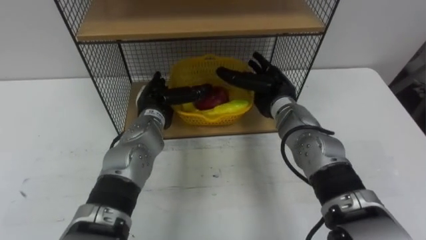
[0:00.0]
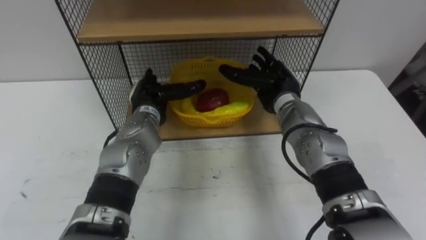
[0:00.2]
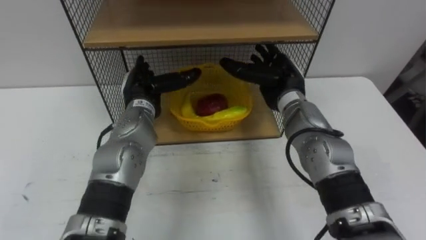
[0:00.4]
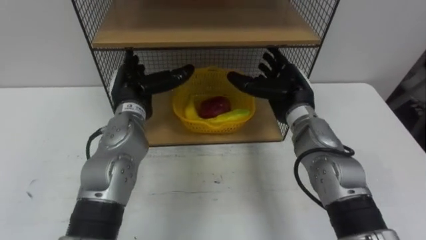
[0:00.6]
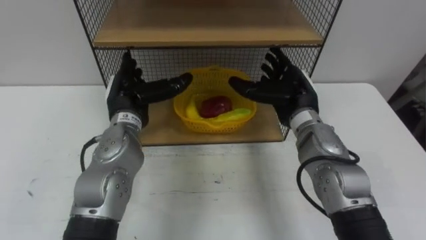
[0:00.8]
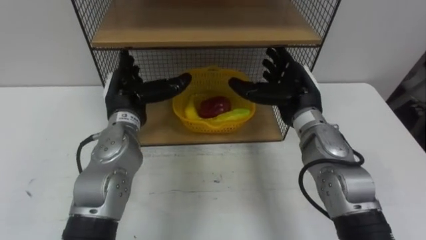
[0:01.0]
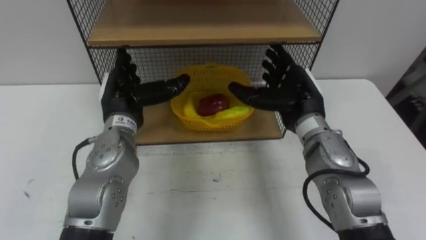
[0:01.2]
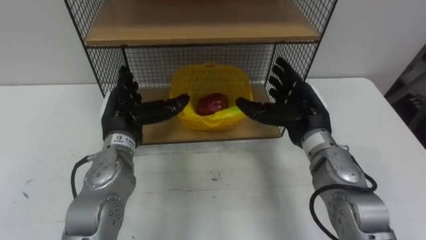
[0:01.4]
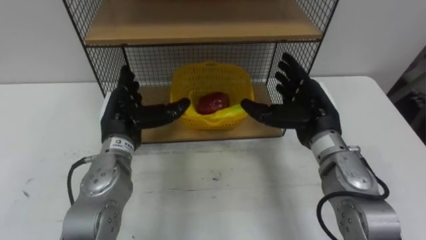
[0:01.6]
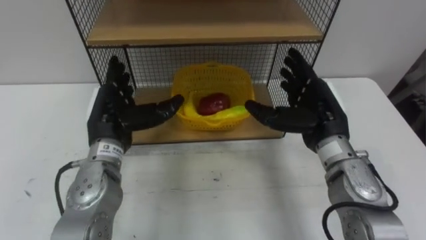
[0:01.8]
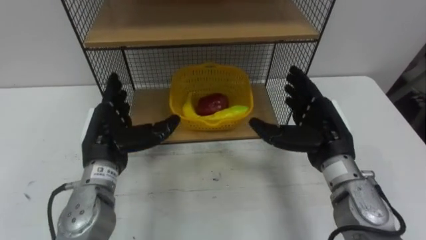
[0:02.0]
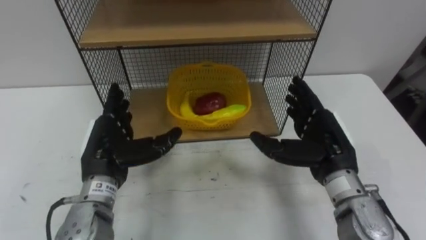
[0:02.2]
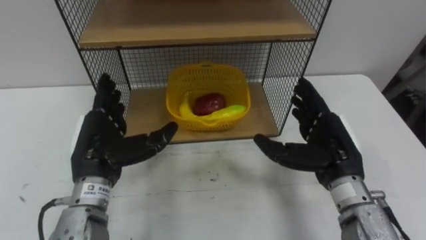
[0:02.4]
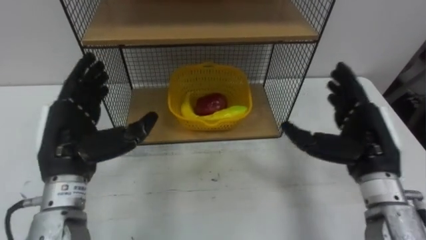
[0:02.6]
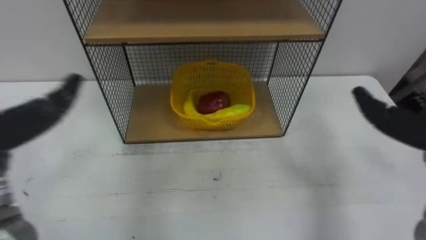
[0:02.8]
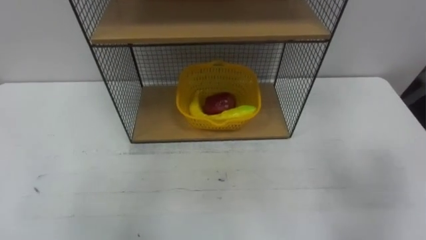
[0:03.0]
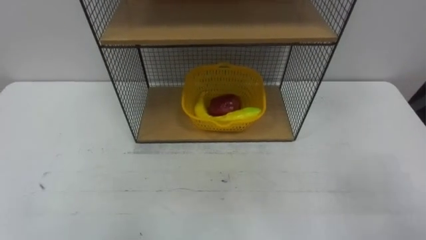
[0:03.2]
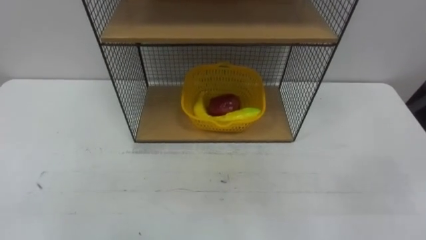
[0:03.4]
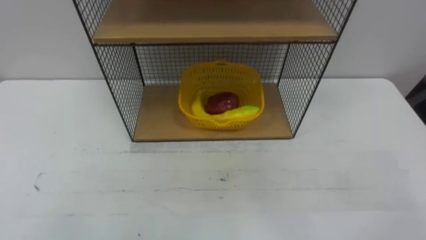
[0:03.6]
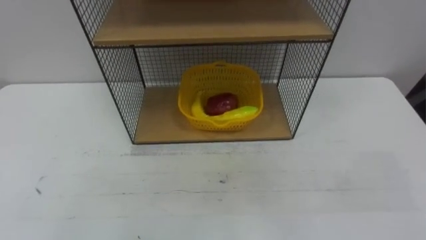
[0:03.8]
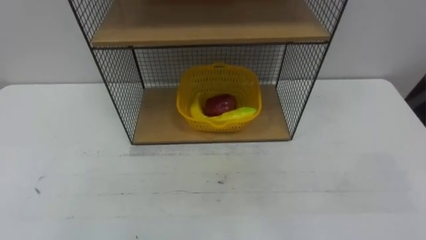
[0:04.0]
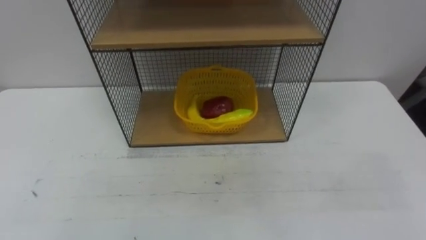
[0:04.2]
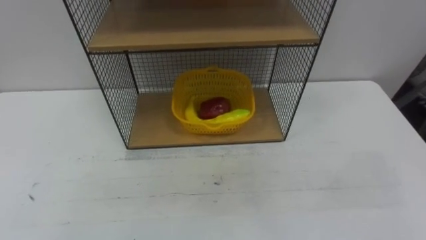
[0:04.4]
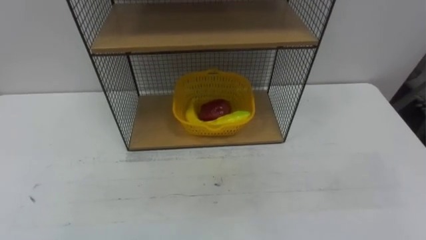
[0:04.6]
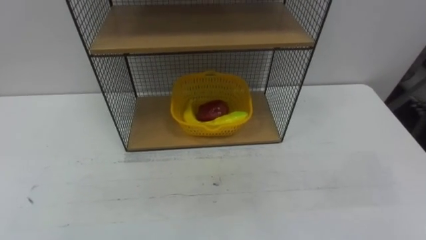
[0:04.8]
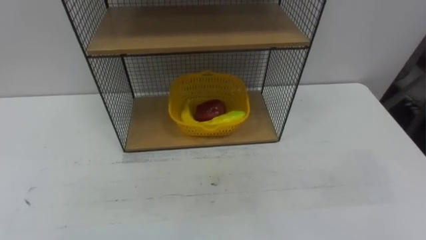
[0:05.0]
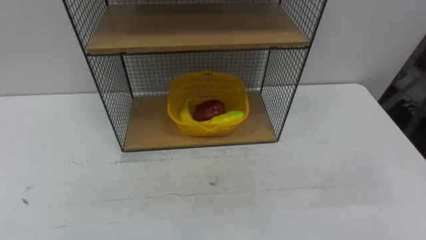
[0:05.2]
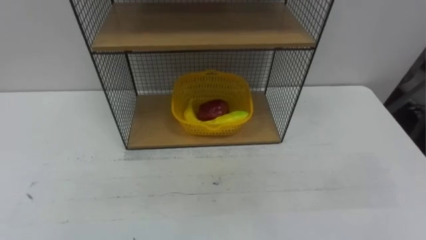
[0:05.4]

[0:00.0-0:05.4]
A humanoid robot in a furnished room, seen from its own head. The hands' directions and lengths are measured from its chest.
Task of the whole recording: Put the fruit on the table into the basket, then place the basket on the shelf.
0:00.0 to 0:01.4: The left hand shifts approximately 10 cm backward and to the left; the right hand shifts roughly 10 cm backward and to the right.

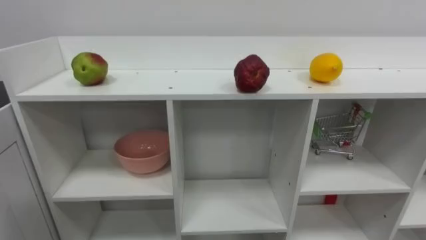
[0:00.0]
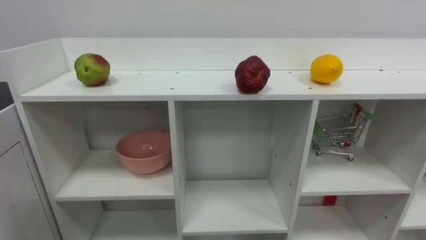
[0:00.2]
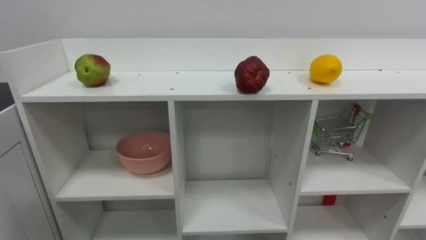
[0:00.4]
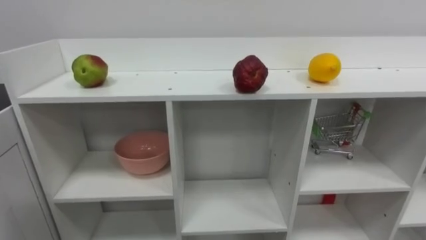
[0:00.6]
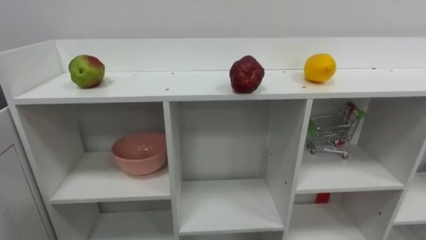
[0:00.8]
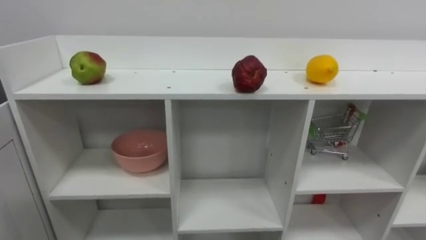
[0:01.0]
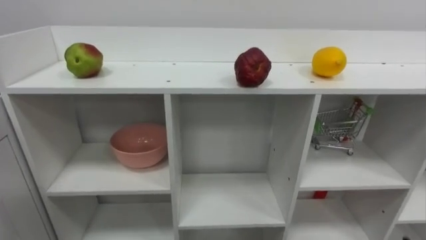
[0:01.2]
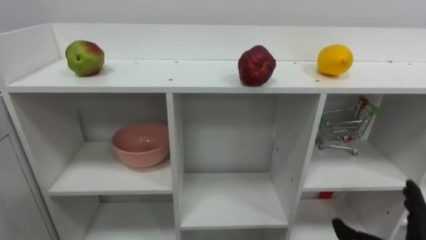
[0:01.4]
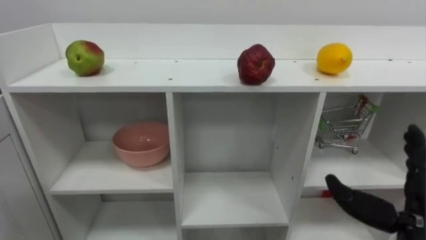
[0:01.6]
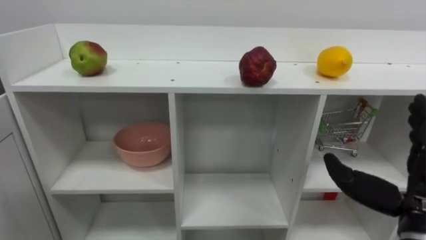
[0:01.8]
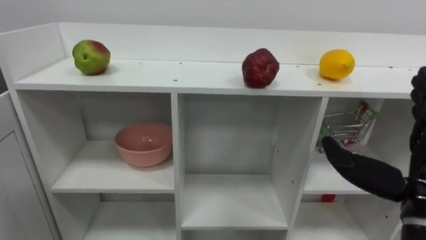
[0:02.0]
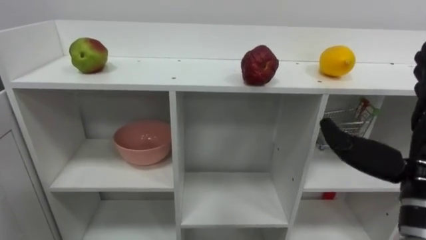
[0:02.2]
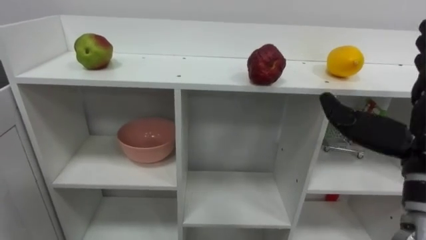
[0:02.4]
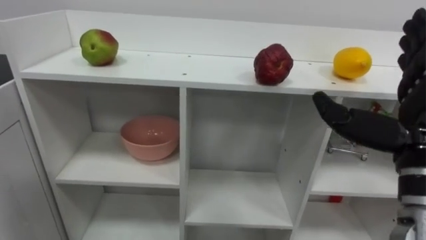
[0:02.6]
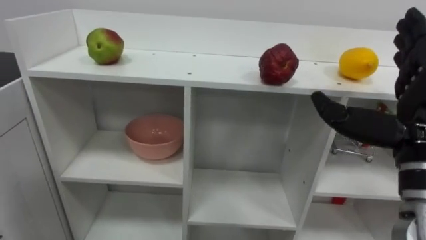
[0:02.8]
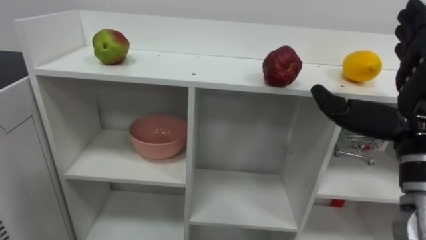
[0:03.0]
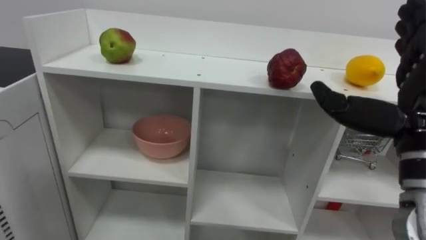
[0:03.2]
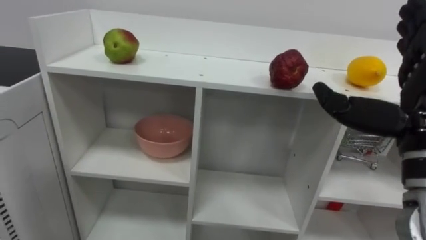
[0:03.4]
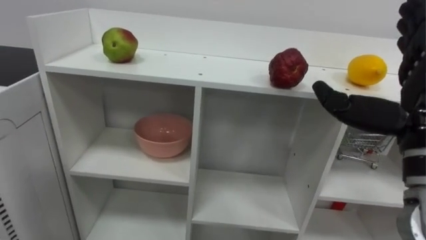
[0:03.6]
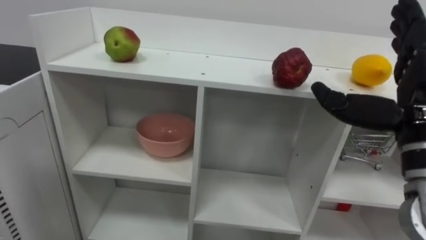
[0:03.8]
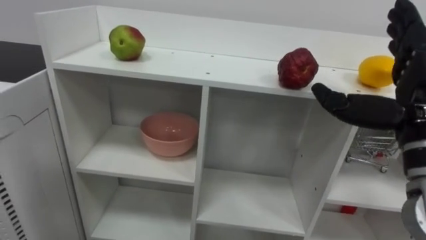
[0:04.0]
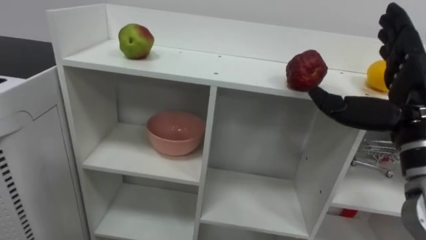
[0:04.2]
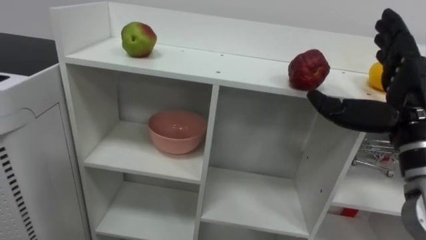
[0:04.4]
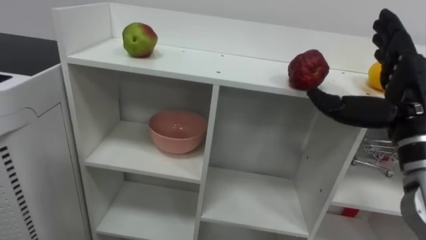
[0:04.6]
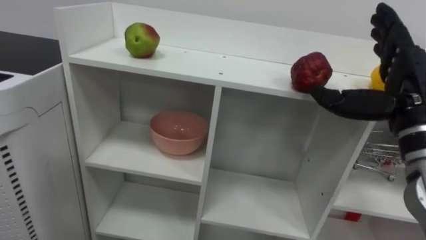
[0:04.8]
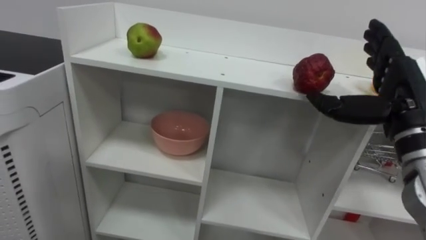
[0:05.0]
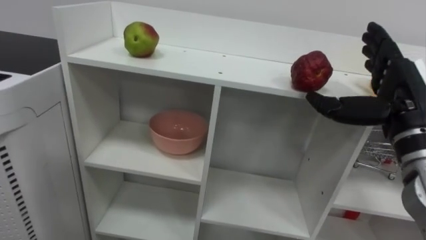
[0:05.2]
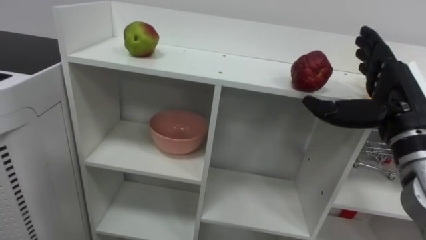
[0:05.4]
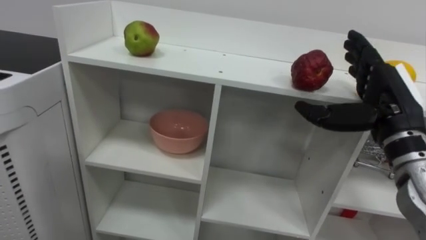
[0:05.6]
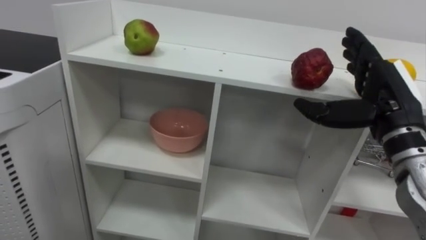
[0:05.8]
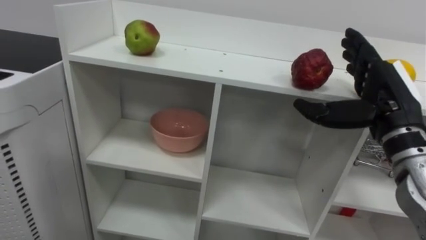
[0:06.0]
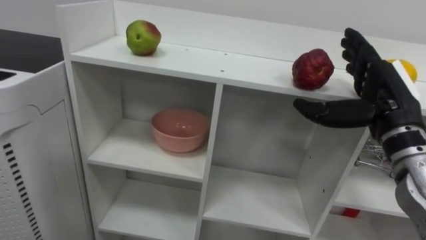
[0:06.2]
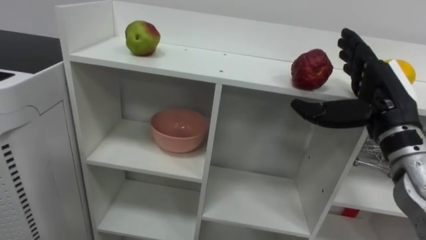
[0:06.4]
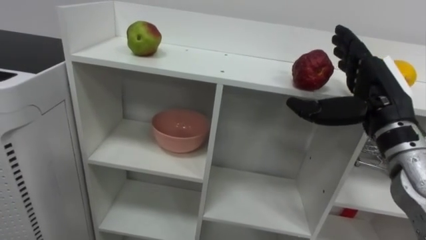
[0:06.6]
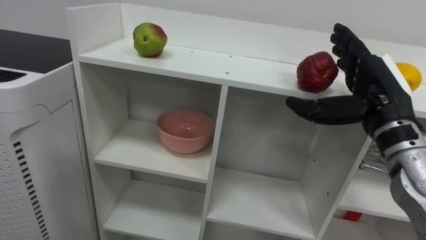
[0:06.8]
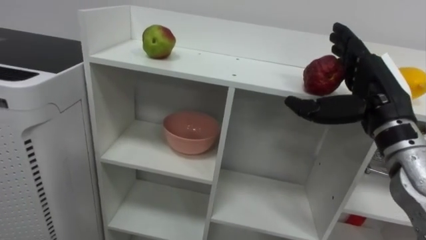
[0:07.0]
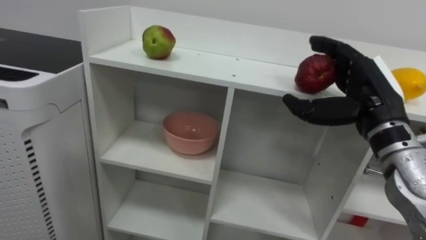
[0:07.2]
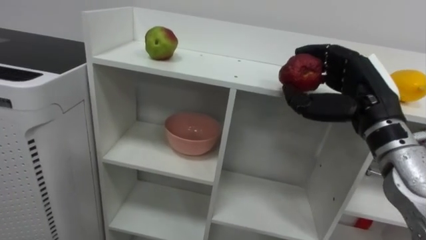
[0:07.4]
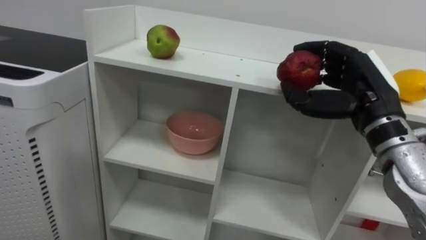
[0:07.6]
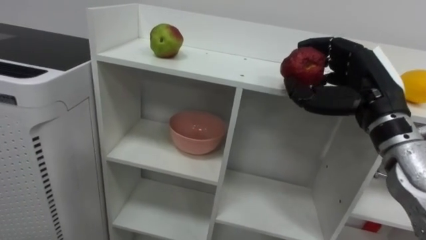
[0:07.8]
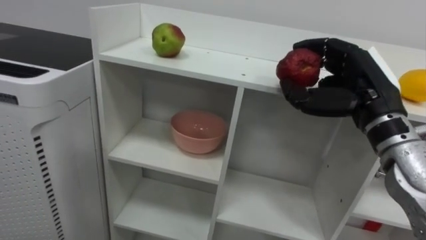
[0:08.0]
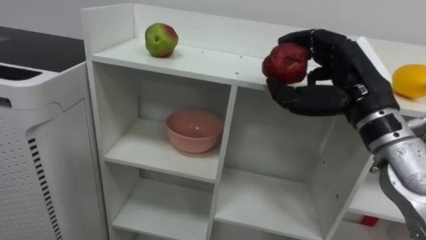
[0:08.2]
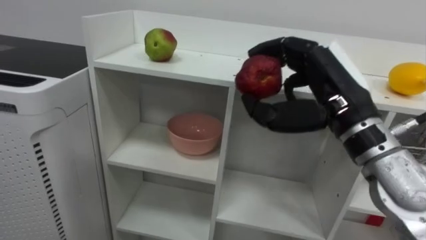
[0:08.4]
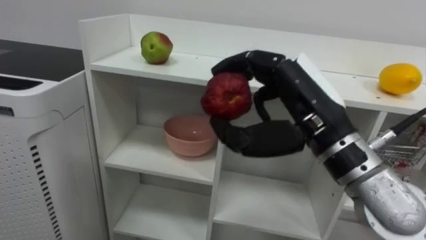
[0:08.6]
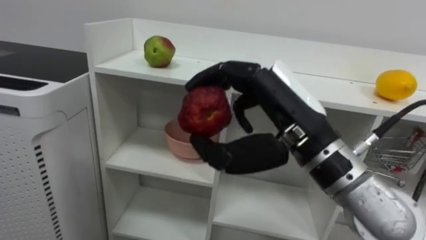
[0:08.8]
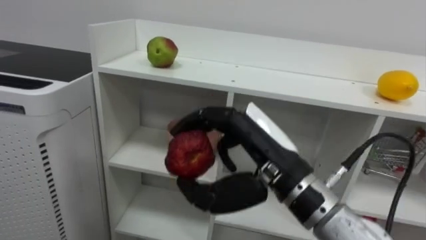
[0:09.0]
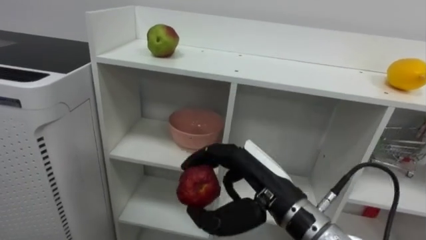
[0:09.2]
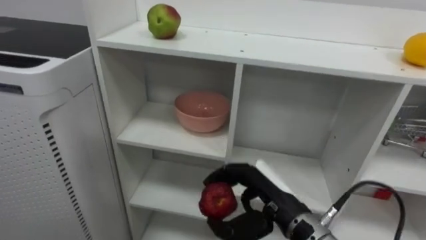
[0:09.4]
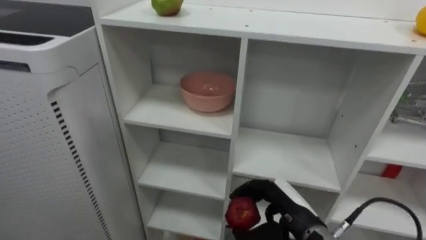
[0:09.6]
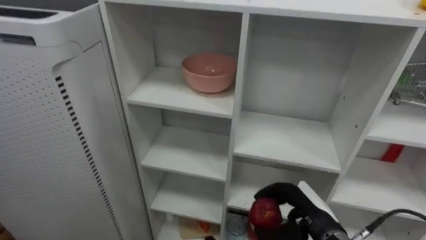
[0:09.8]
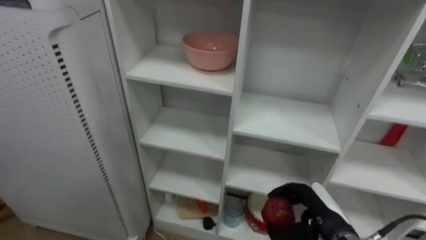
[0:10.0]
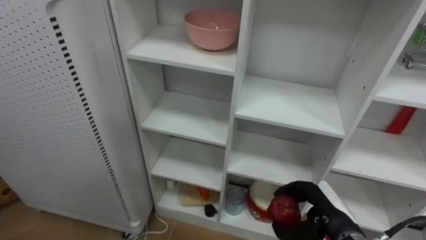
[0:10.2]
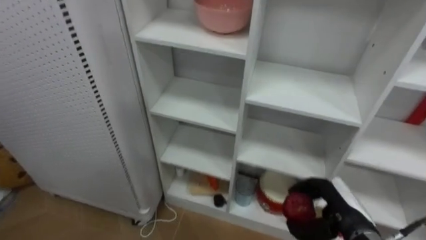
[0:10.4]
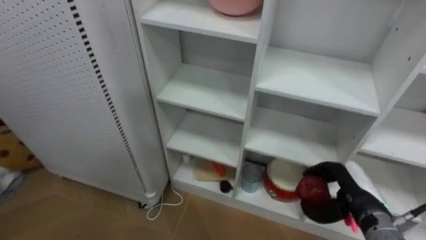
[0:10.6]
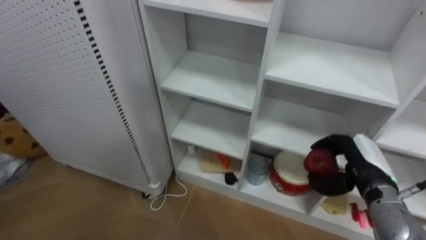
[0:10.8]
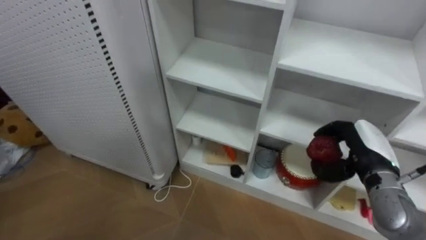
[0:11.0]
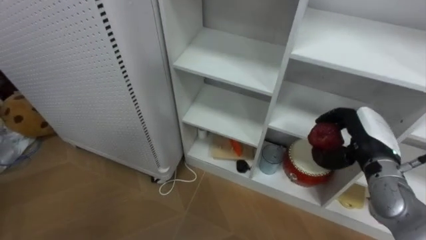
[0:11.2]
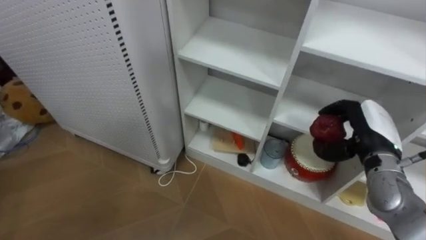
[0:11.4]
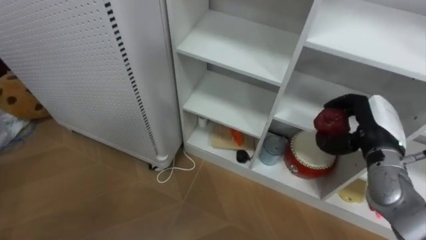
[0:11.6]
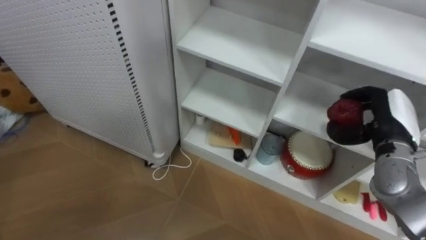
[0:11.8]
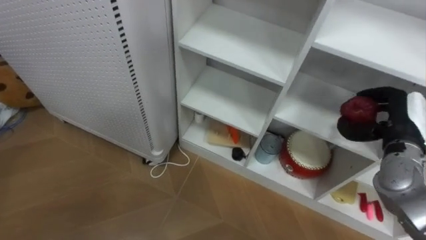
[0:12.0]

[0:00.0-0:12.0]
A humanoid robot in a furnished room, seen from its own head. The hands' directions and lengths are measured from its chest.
Task of the whole recording: Put the apple in the cell in the second column from the left and the second row from the top.
0:01.6 to 0:03.0: The right hand goes about 15 cm upward.
0:06.0 to 0:07.6: The right hand closes up.
0:07.6 to 0:09.0: The right hand heads to the left and backward, covering approximately 15 cm.
0:09.0 to 0:10.4: The right hand goes about 25 cm downward and to the right.
0:10.4 to 0:12.0: The right hand is displaced upward, to the right and forward by roughly 20 cm.
